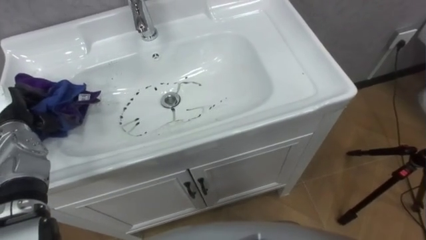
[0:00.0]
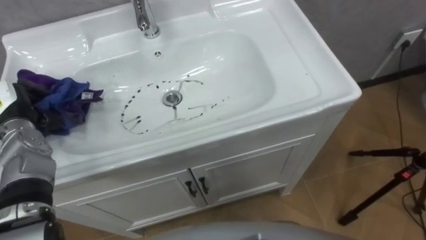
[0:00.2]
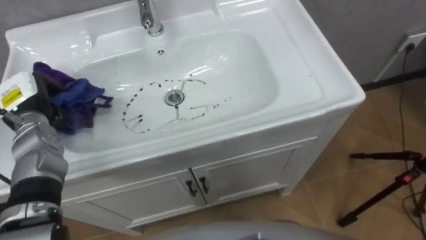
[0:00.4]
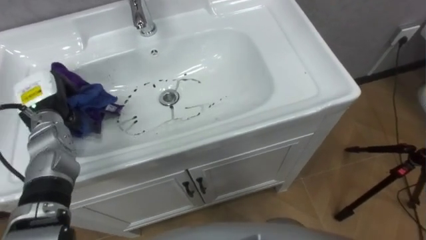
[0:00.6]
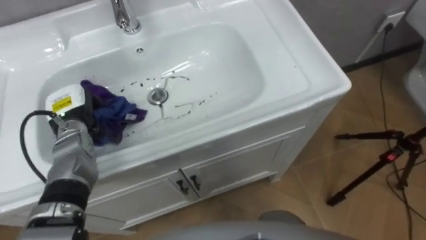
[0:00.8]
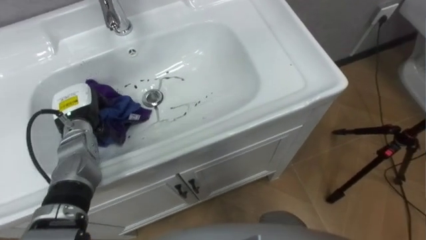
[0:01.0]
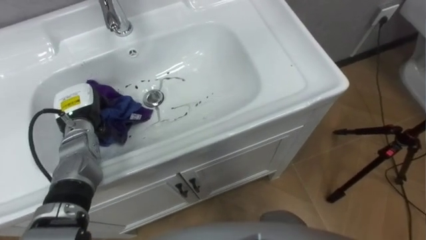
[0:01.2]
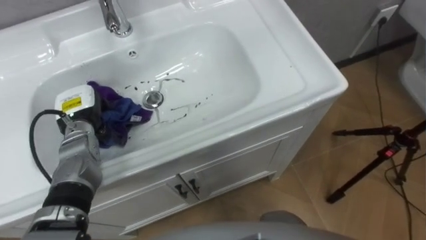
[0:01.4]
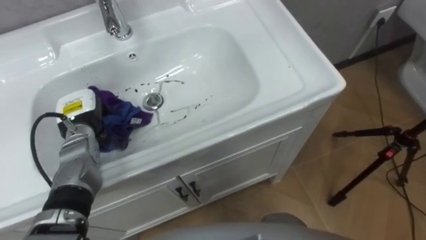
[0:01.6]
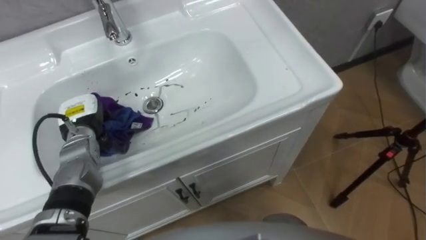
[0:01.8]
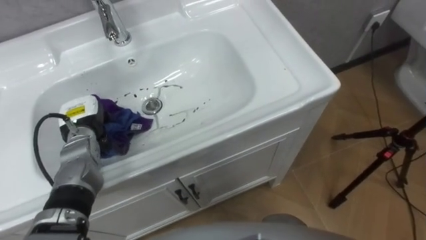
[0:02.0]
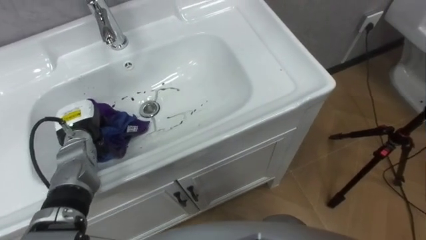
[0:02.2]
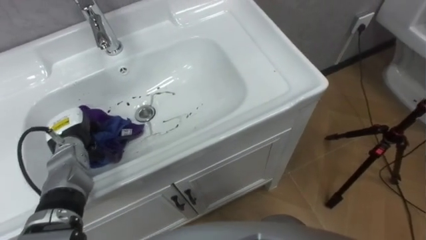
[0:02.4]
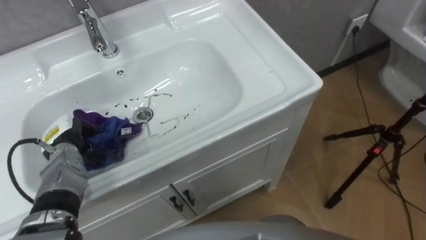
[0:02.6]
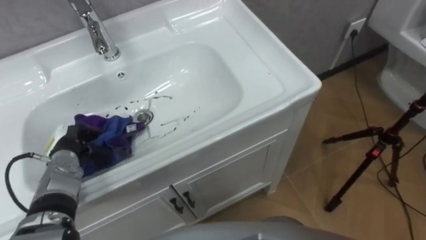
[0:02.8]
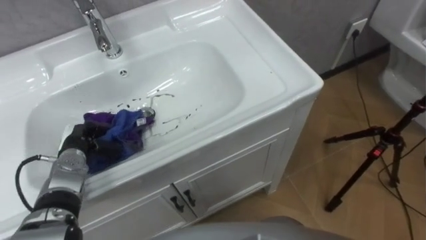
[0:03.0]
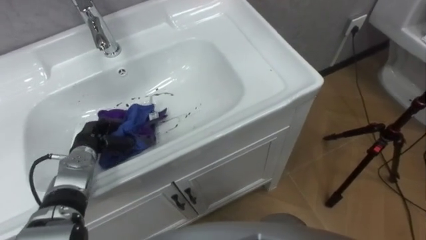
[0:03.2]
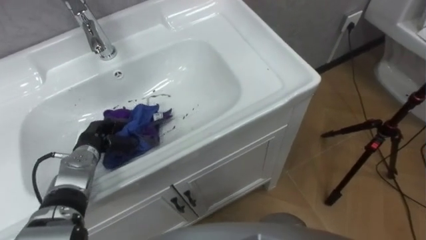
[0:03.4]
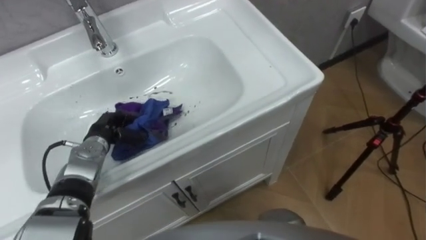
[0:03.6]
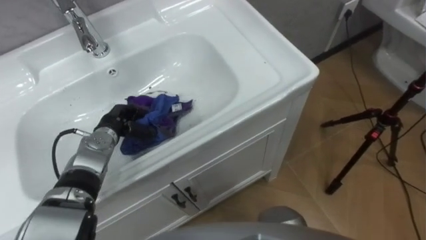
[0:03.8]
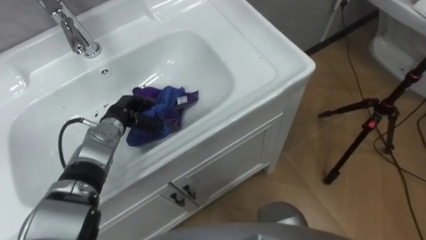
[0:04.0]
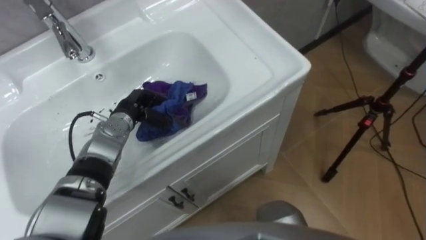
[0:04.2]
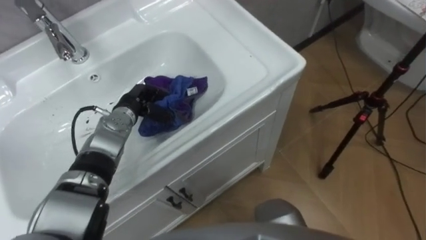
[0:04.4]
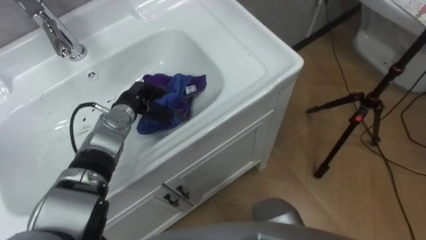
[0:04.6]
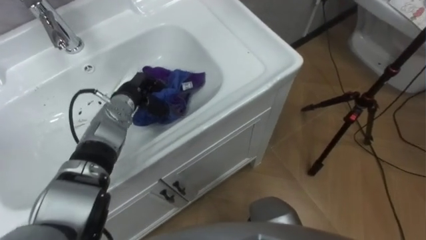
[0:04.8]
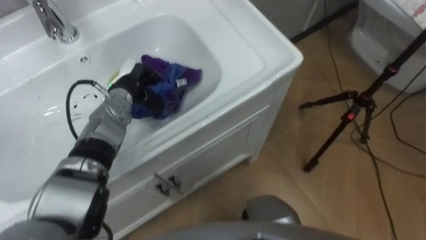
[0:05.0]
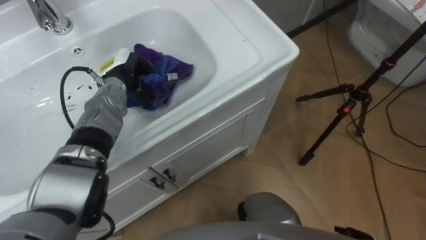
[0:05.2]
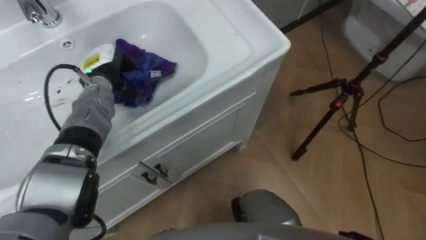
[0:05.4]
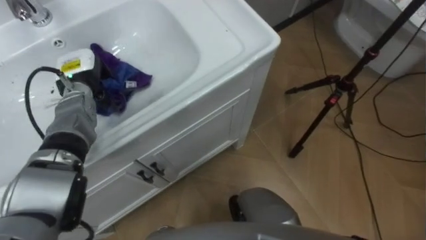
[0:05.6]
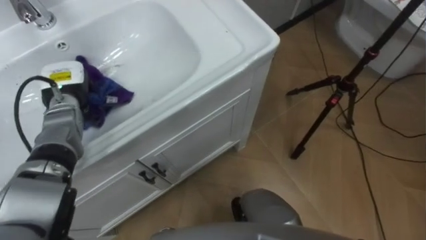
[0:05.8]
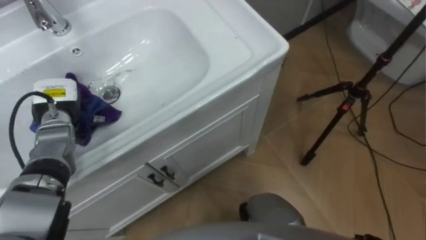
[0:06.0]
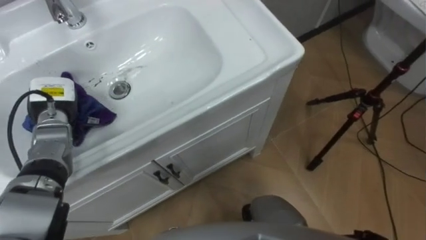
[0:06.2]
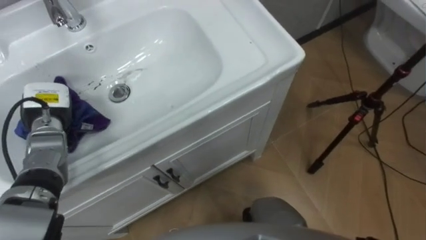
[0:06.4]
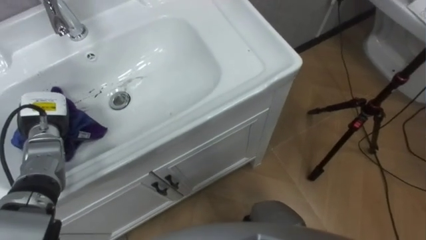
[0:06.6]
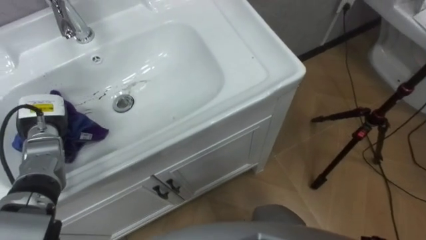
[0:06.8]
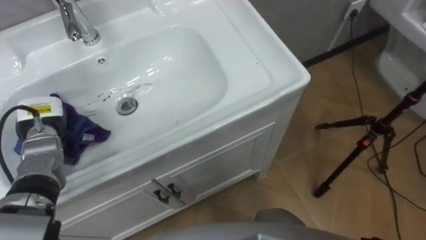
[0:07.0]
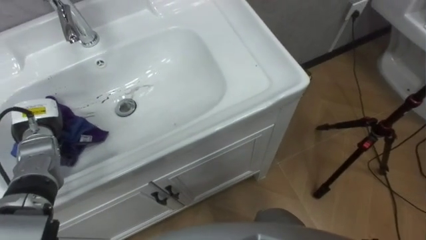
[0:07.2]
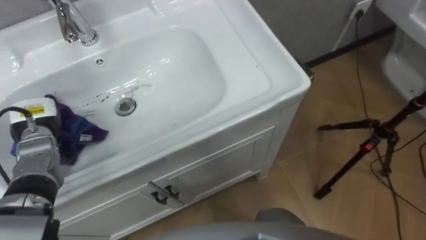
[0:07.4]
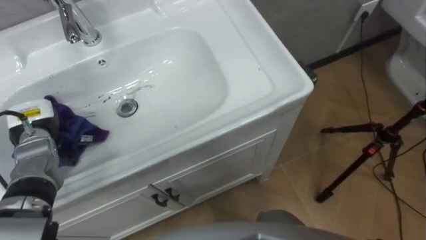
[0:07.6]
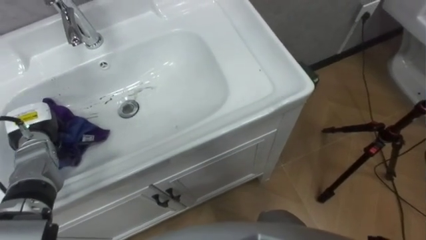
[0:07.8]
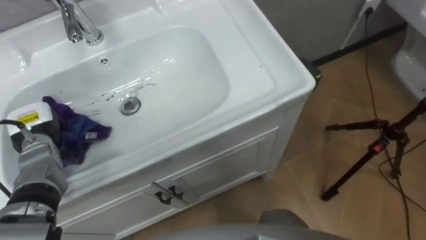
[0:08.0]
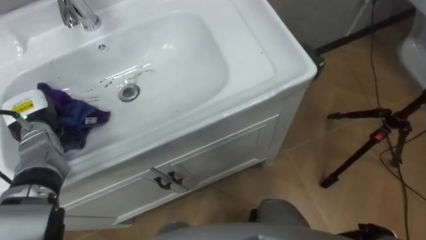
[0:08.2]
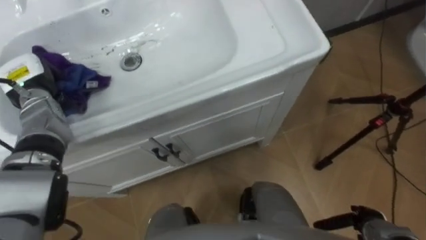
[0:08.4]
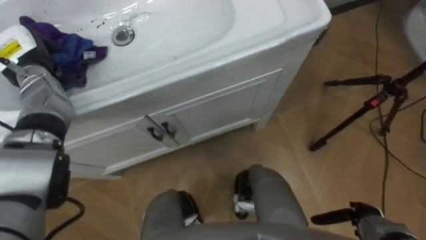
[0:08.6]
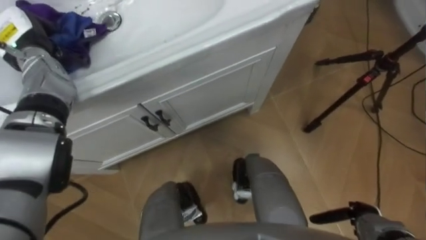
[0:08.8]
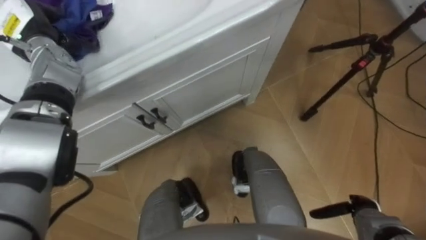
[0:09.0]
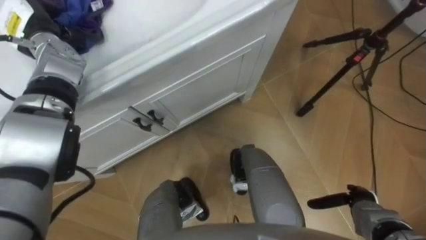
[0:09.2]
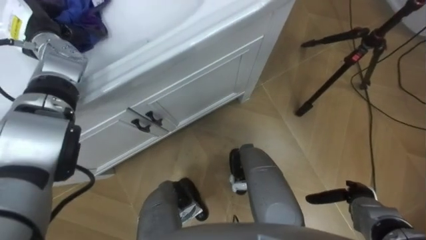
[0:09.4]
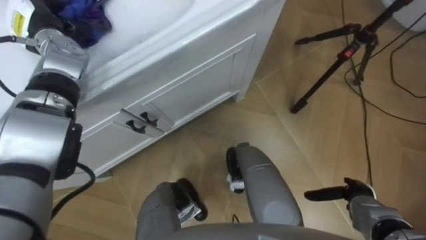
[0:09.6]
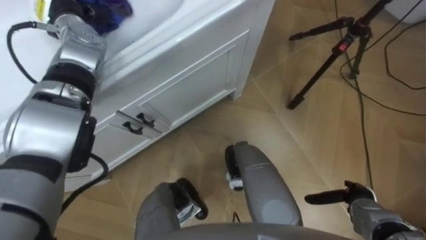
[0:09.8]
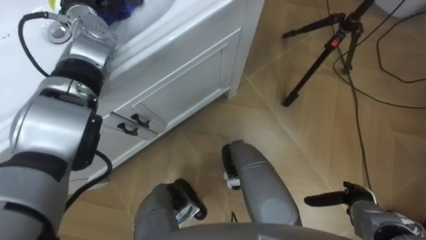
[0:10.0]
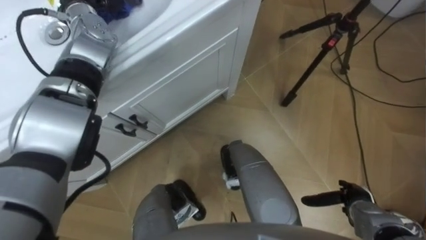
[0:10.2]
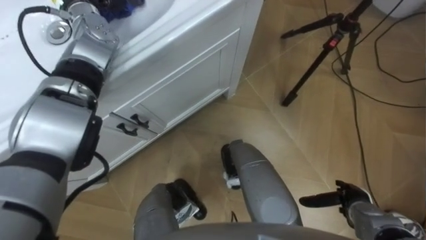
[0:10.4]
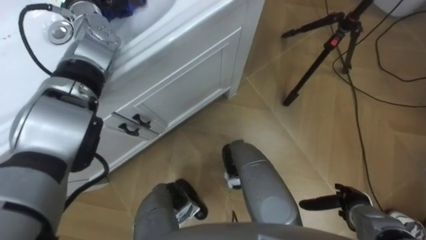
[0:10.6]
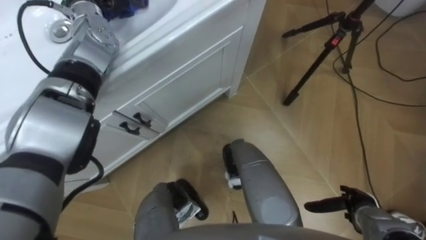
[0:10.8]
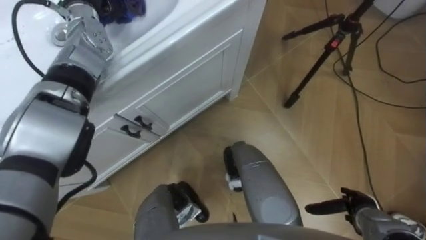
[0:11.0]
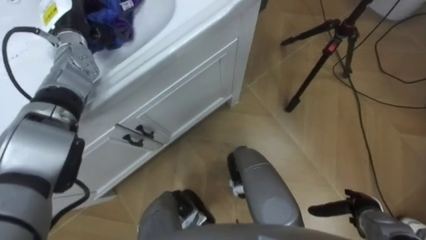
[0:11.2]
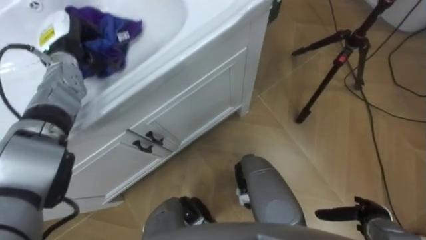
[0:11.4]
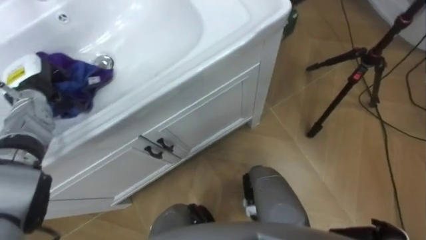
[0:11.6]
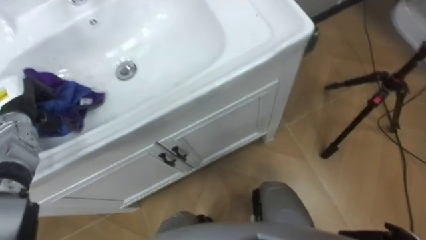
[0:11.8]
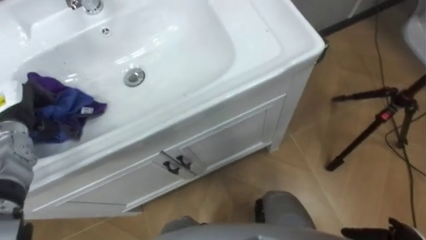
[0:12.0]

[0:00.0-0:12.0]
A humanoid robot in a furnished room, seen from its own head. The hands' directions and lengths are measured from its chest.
Task of the whole recording: Use the cloth on the right to wipe away the black stain in the sink.
0.0 to 1.6 s: The left hand is displaced to the right by about 10 cm.
1.6 to 3.0 s: The left hand heads downward and backward, covering some 10 cm.
3.0 to 4.4 s: The left hand heads to the right and forward, covering roughly 15 cm.
4.4 to 6.0 s: The left hand is displaced to the left by approximately 15 cm.
6.0 to 7.6 s: The left hand ends up roughly 5 cm from where it was.
7.6 to 9.0 s: The left hand travels forward and upward by approximately 20 cm.

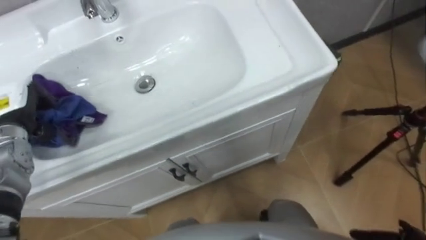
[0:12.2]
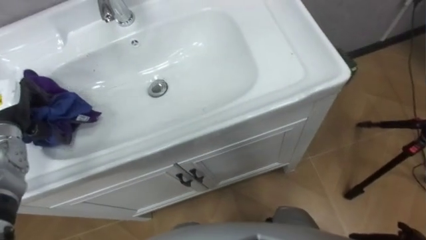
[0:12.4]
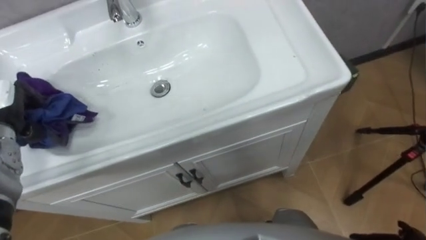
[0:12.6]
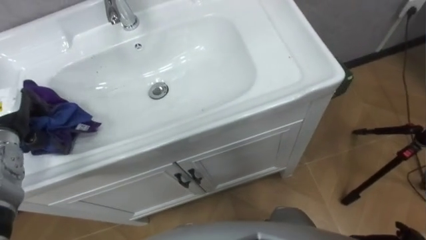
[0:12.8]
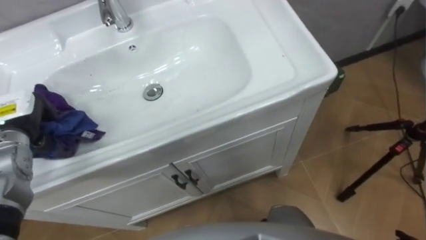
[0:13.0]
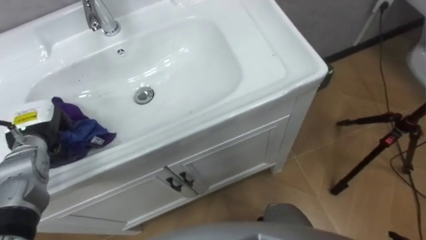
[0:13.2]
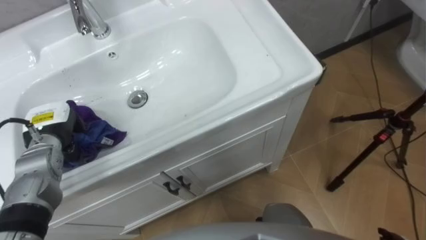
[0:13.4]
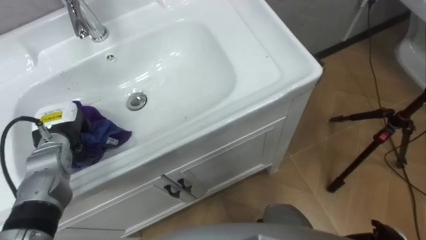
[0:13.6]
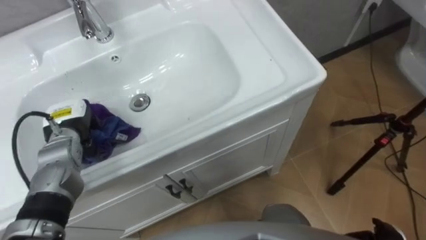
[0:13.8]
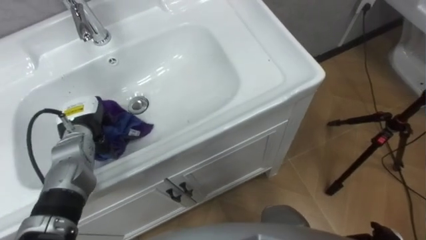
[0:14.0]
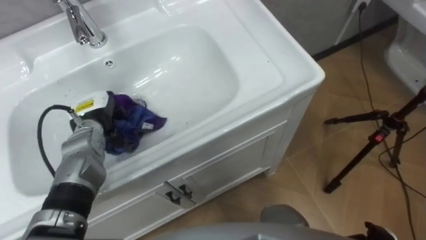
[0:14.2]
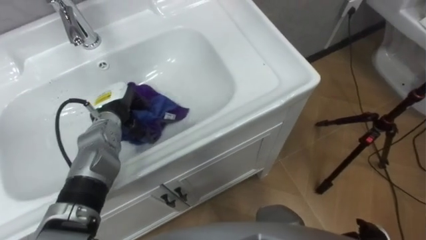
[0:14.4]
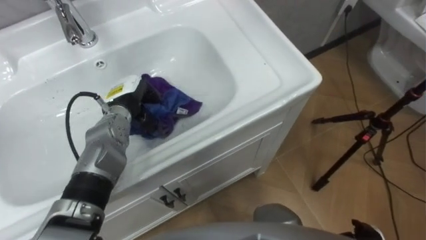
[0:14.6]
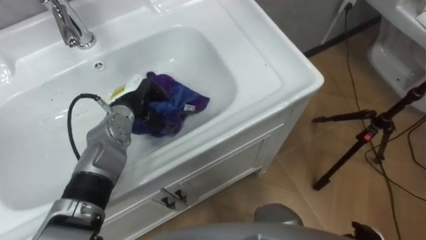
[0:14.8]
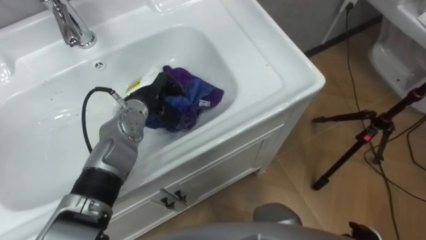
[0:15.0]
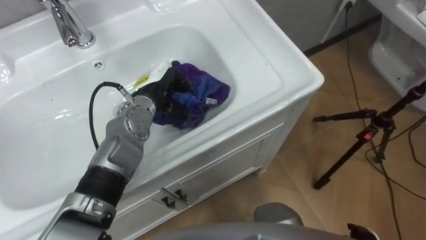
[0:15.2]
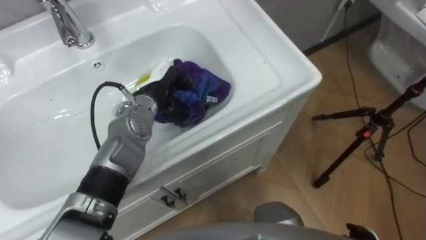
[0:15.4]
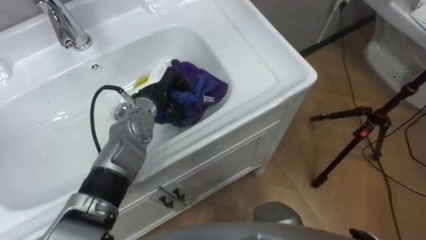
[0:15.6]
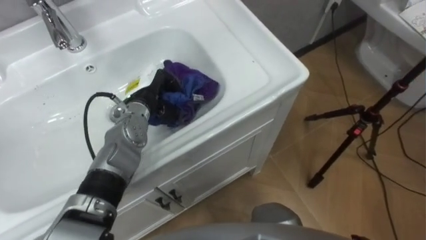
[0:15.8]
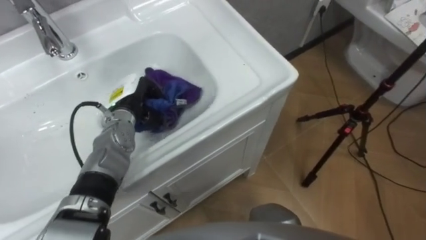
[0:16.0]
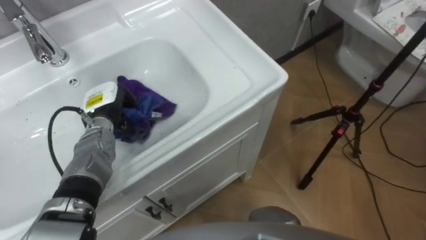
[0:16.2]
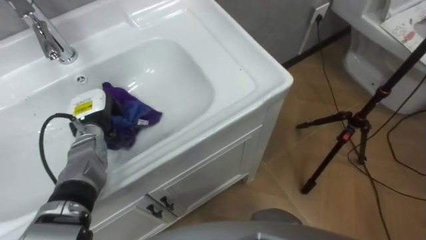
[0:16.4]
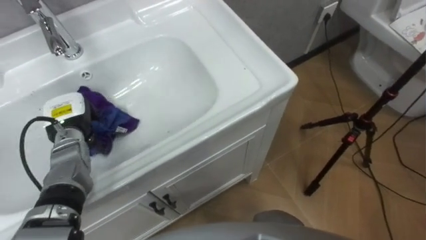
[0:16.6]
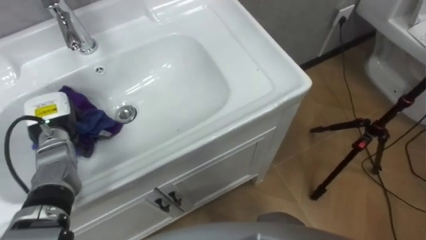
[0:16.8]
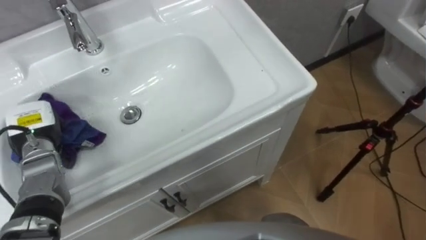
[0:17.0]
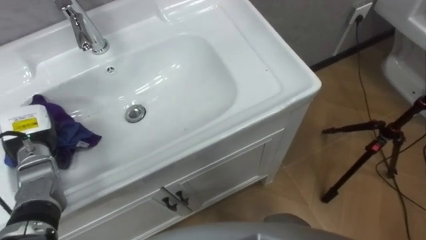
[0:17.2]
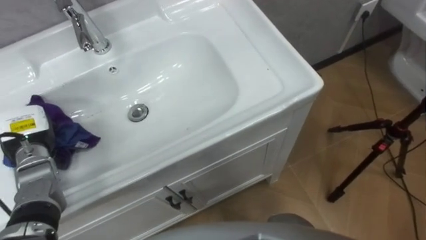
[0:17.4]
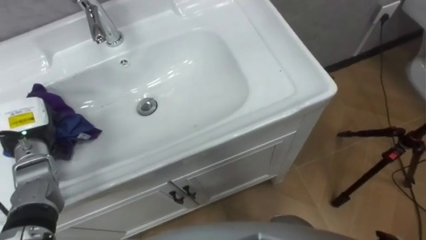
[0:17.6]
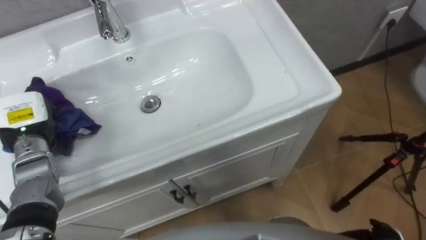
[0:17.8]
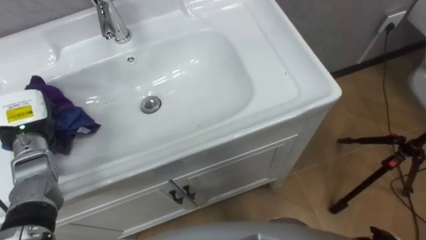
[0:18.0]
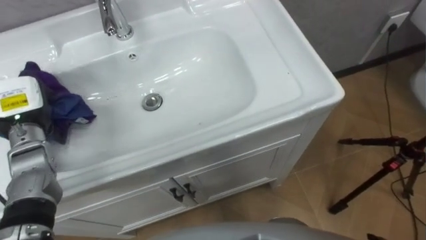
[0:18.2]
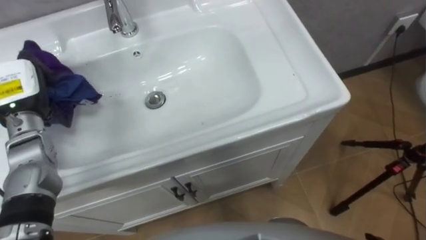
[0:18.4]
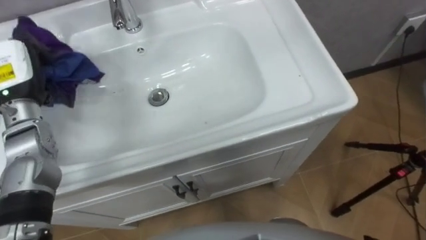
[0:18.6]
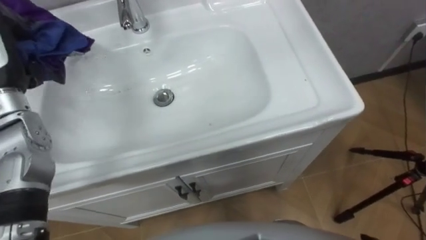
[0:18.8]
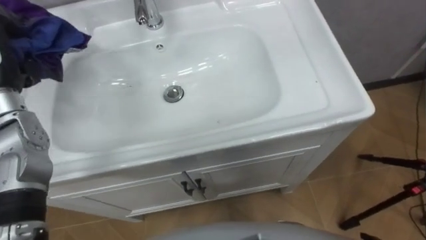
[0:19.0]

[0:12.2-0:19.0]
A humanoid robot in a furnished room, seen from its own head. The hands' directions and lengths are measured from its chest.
Task of the whole recording: Use the cloth on the right to wipe away the black stain in the sink.
13.6 to 15.0 s: The left hand shifts some 20 cm to the right.
15.0 to 16.2 s: The left hand goes some 10 cm to the left.
16.2 to 17.6 s: The left hand shifts roughly 15 cm to the left and backward.
